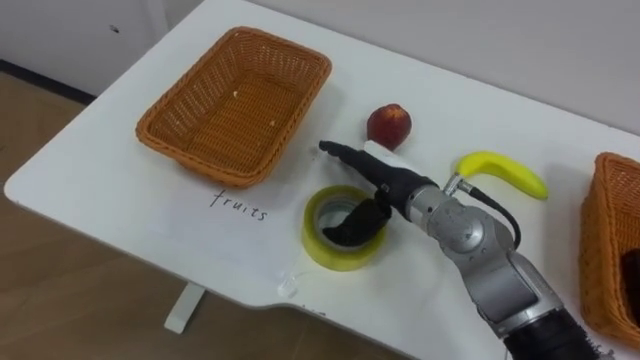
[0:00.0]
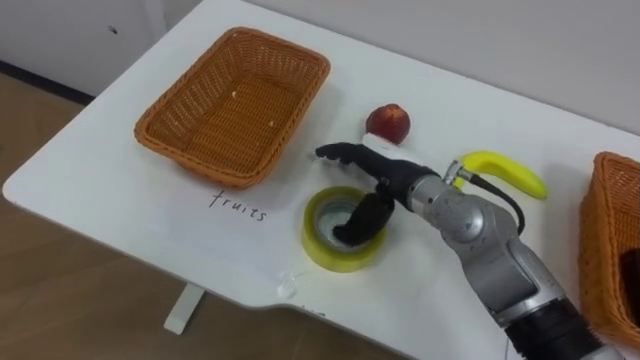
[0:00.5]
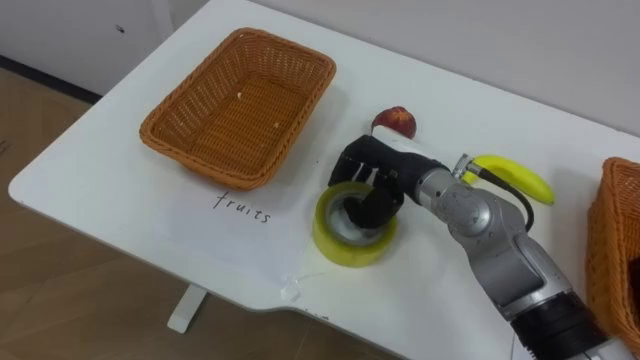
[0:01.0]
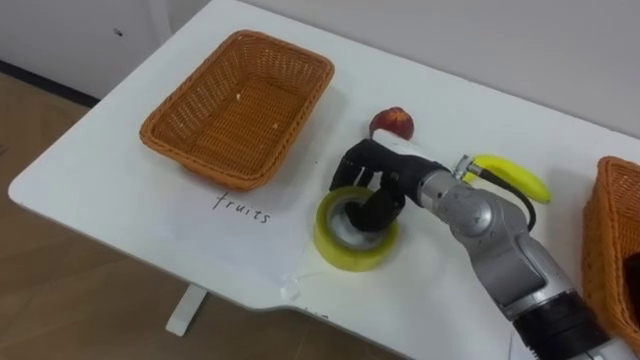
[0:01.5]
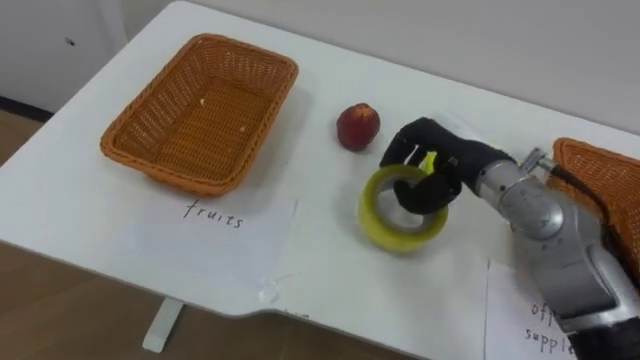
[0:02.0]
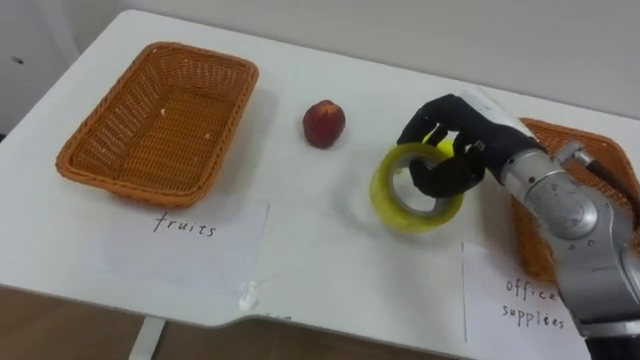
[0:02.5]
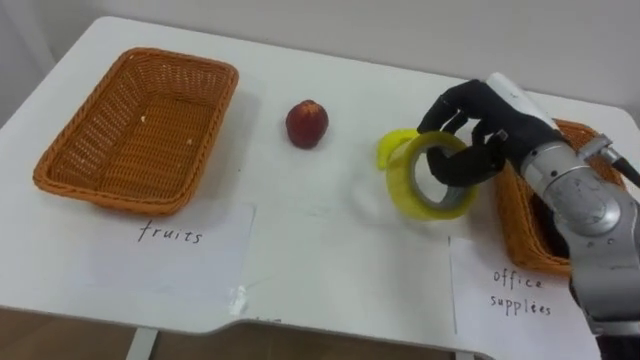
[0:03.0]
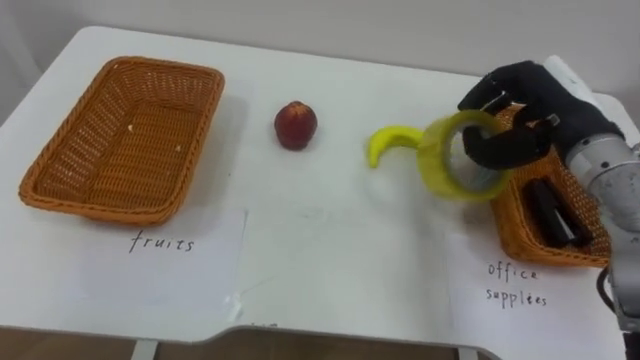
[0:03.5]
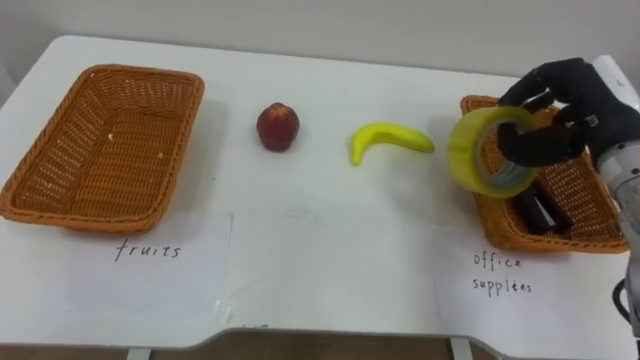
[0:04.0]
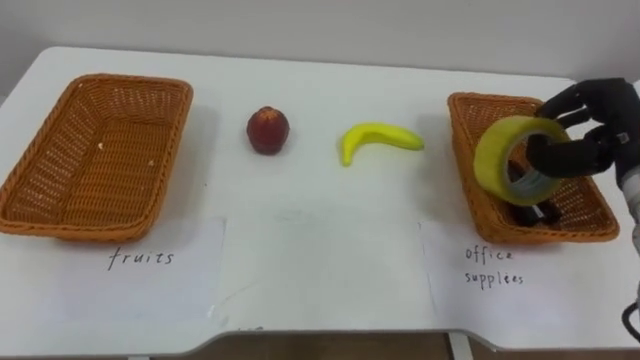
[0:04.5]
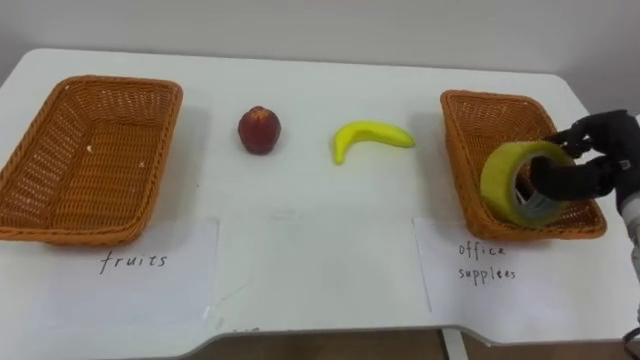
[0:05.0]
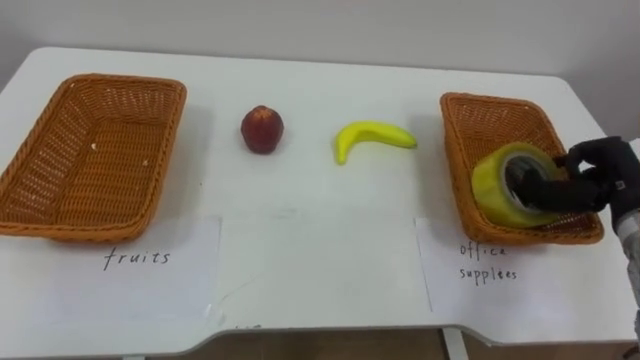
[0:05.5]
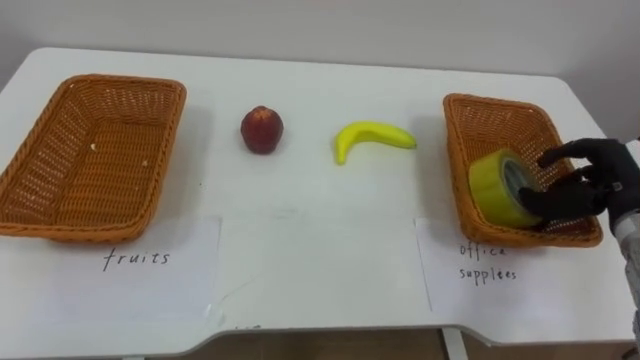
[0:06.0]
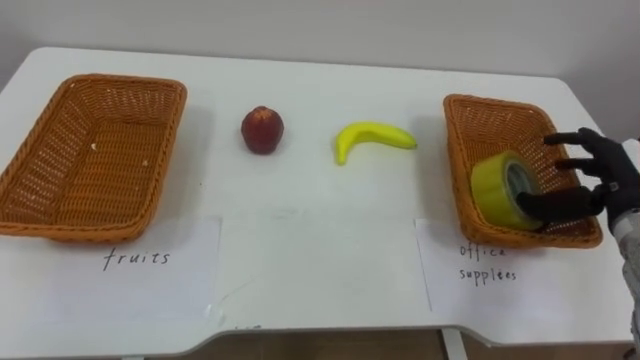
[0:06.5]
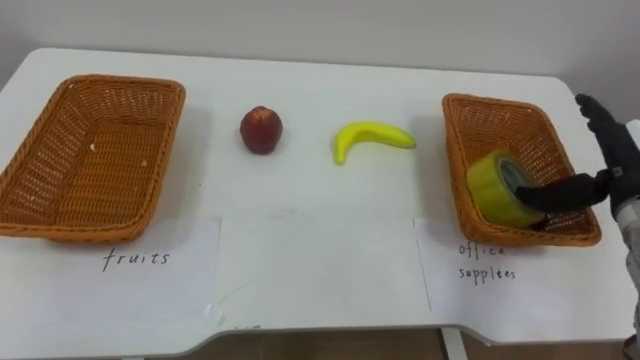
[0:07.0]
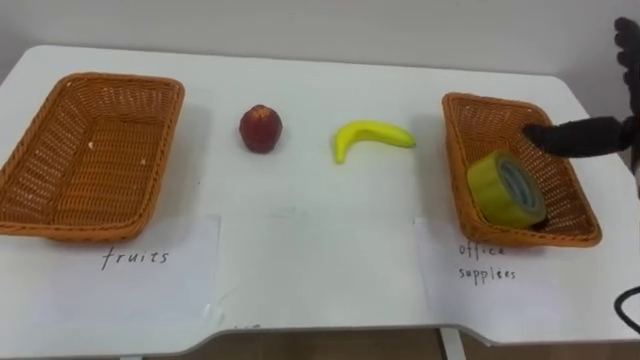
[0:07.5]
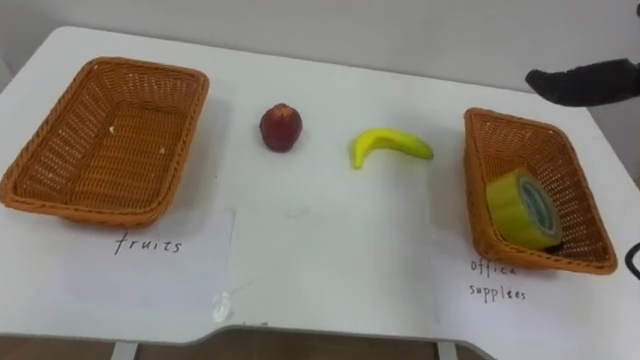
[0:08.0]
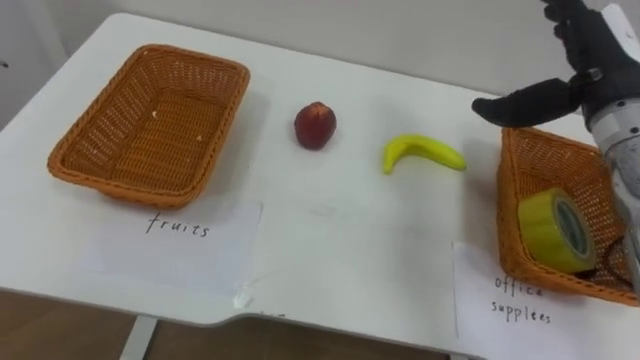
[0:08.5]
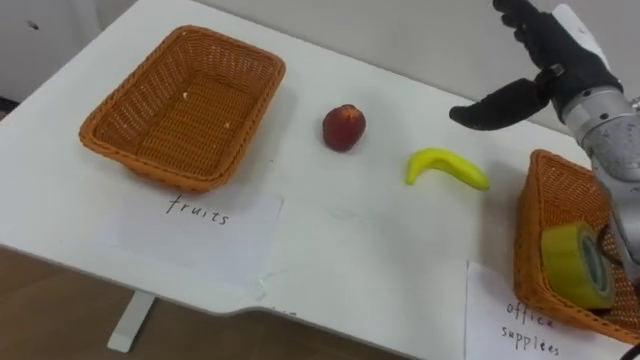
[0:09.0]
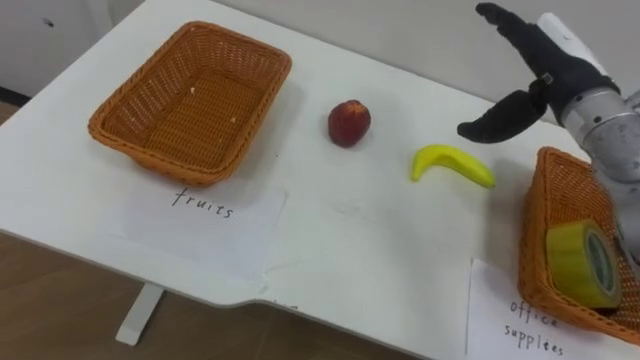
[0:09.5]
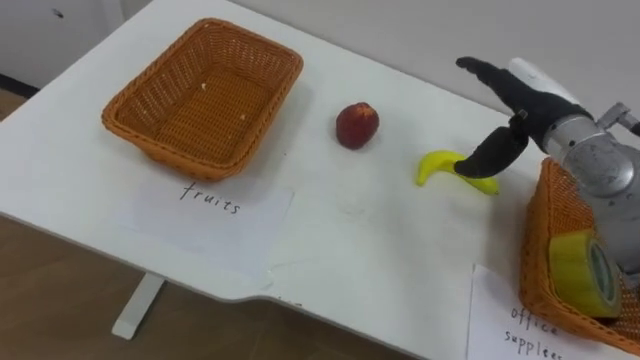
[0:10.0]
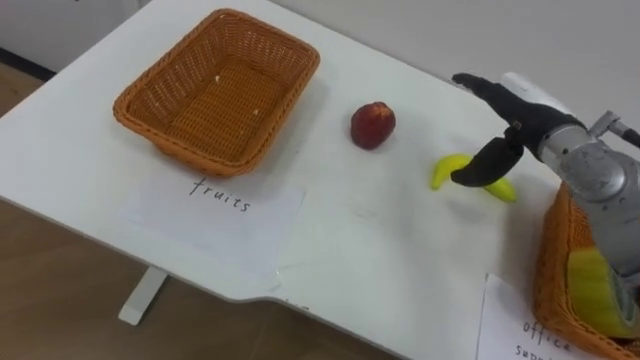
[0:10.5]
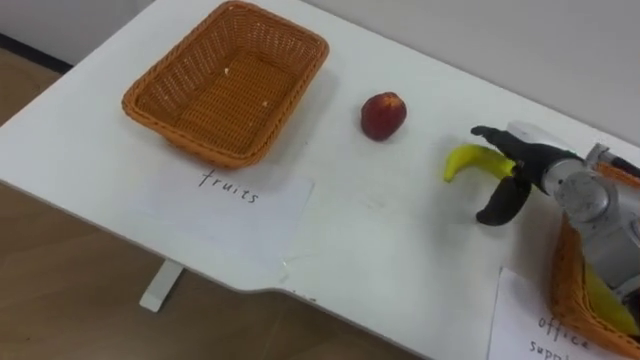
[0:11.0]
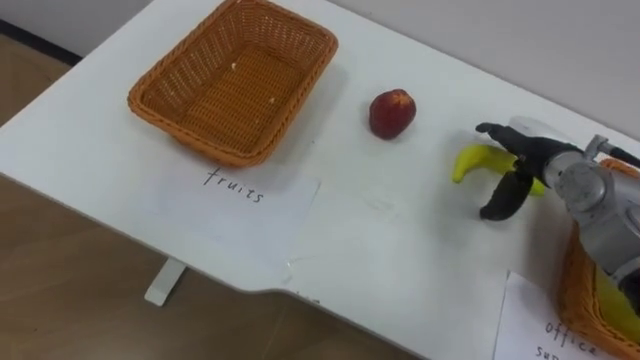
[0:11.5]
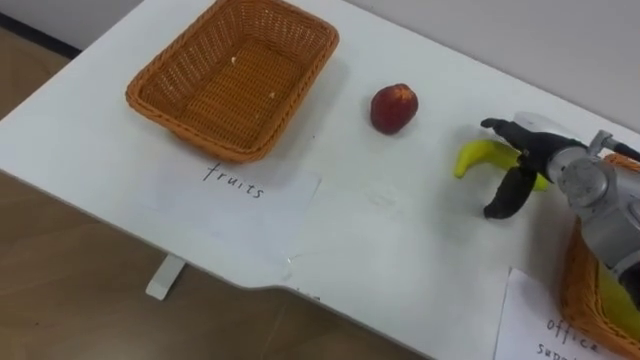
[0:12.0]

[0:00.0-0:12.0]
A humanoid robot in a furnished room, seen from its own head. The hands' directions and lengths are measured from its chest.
Task of the whole recording: Separate the items on the table and place them into the two baskets.
0.0 to 2.0 s: The right hand heads to the right, covering about 10 cm, and closes its fingers.
2.0 to 4.0 s: The right hand shifts roughly 15 cm to the right and upward.
4.0 to 6.0 s: The right hand moves downward and to the right, about 10 cm.
10.0 to 12.0 s: The right hand heads downward, covering some 10 cm.

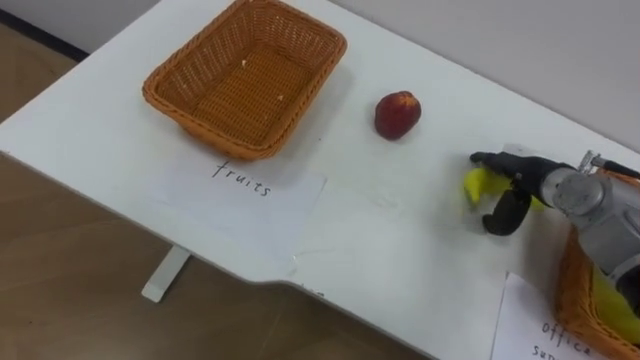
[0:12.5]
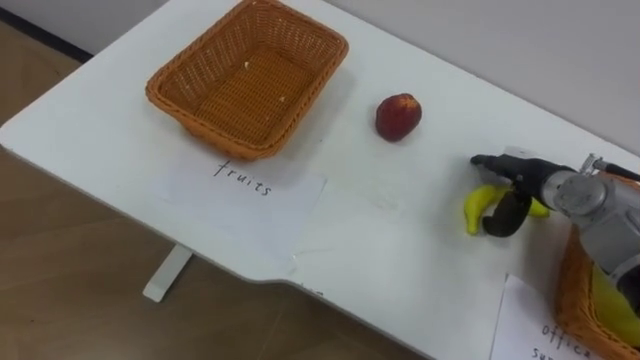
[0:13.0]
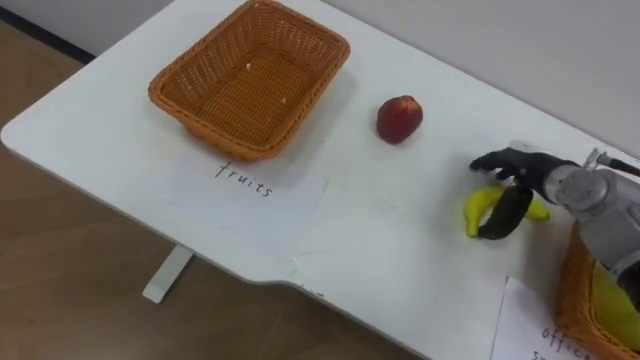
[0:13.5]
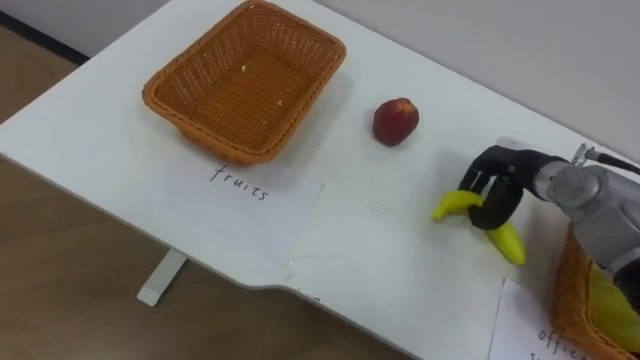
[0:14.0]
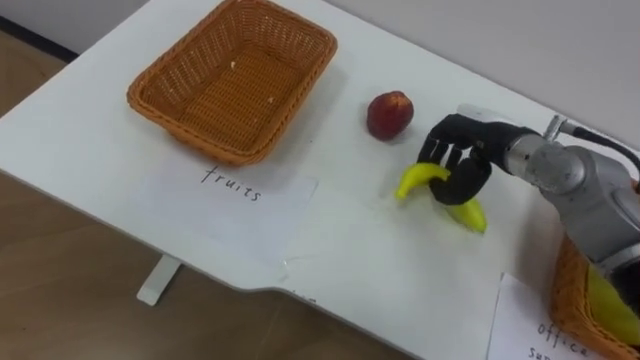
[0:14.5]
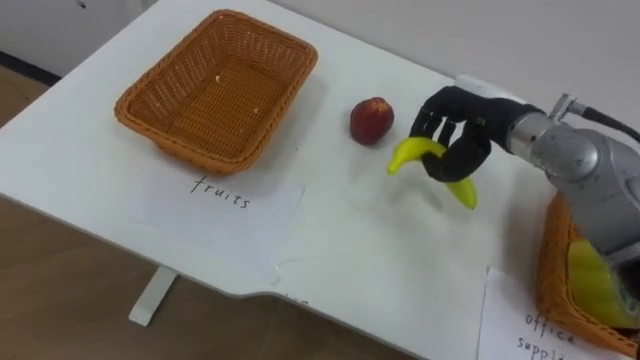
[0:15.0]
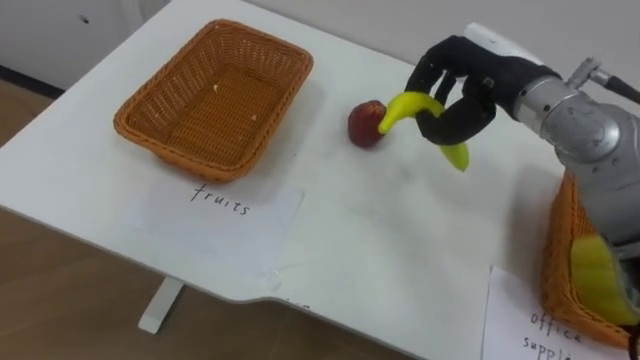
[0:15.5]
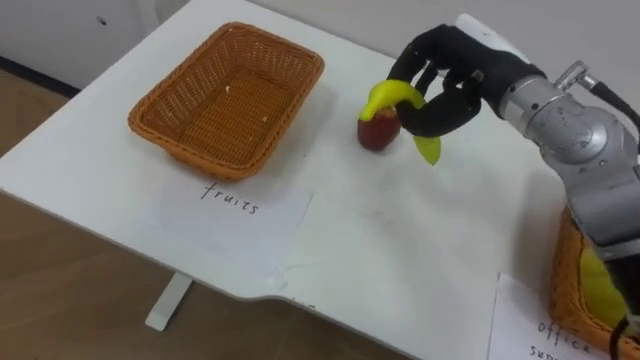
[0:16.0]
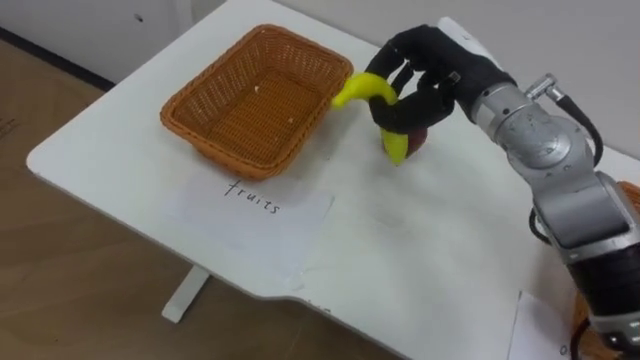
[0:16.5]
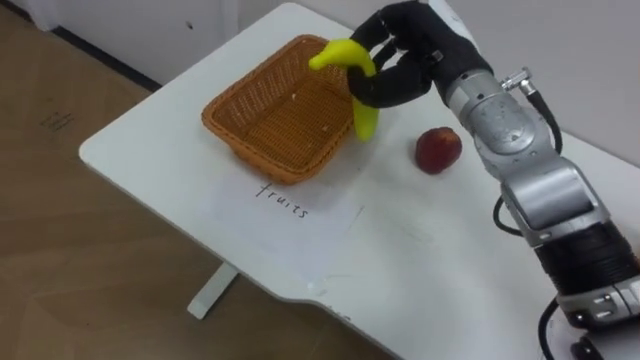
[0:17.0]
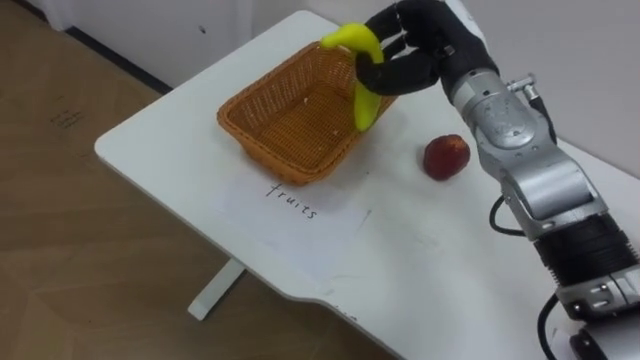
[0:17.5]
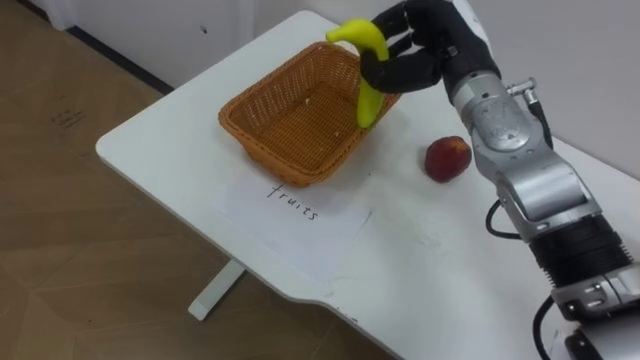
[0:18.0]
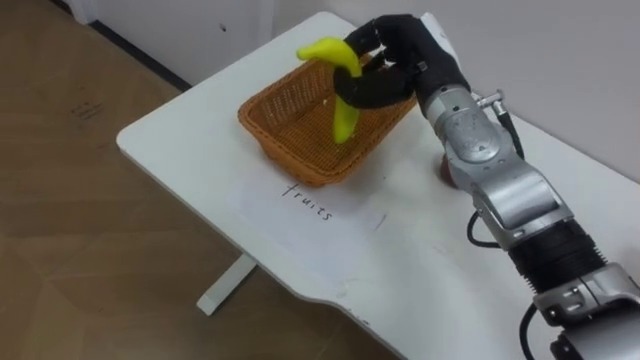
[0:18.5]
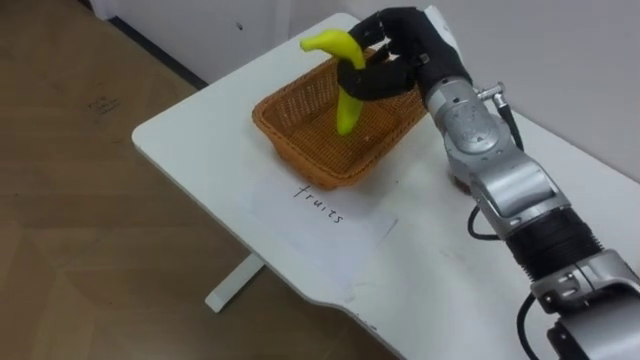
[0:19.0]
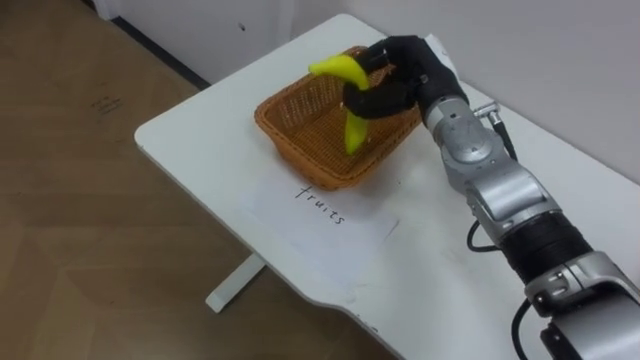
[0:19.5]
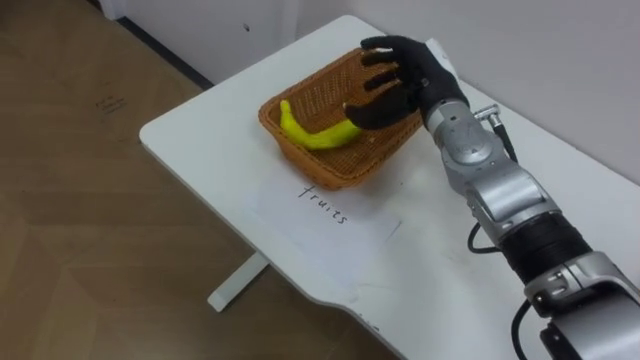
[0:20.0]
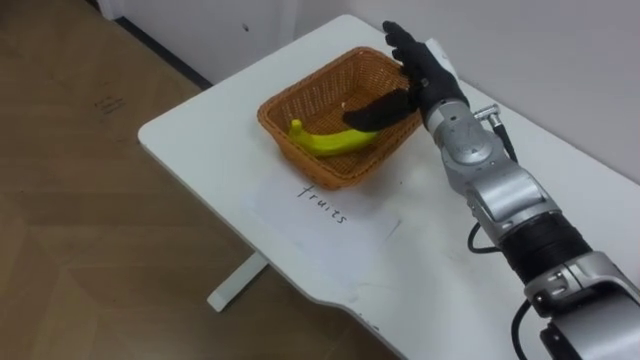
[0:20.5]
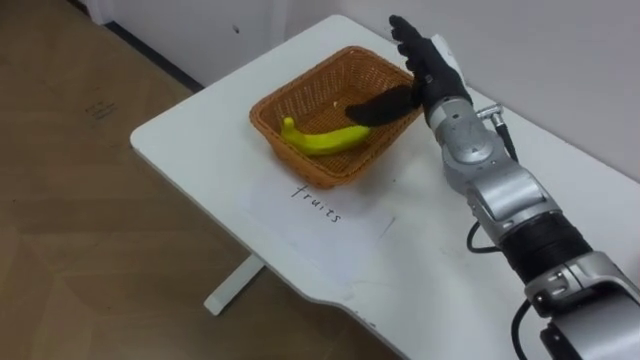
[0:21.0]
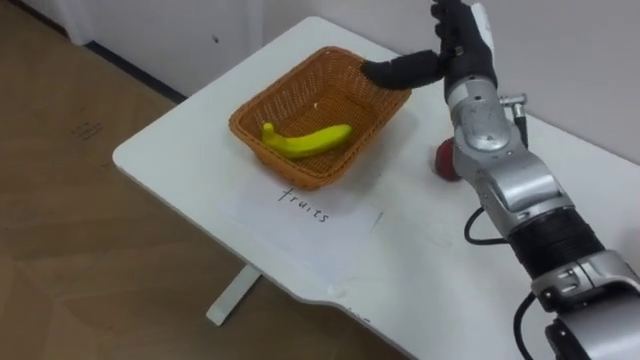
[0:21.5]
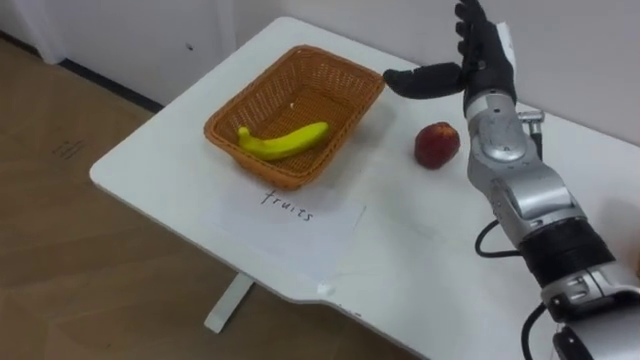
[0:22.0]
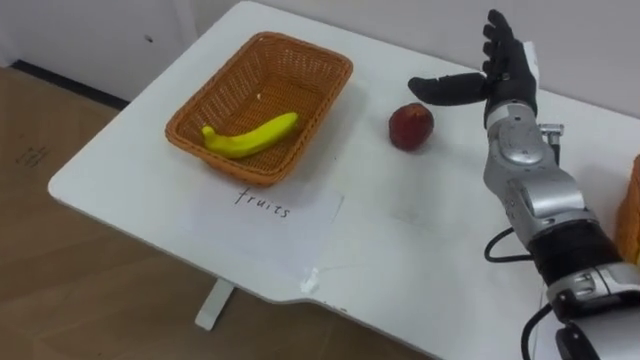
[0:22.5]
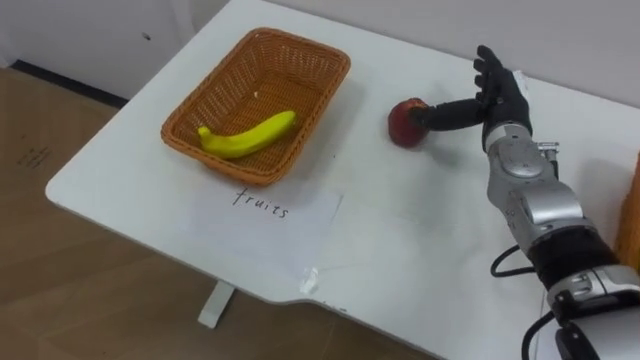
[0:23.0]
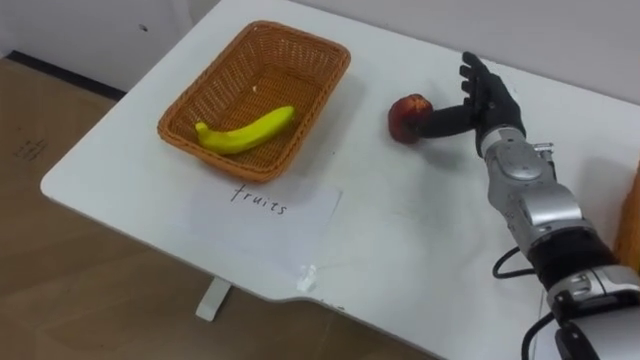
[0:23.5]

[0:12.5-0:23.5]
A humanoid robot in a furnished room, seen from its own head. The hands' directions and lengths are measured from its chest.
Task of the whole recording: Separate the items on the table and place them into the two baskets.
12.5 to 14.5 s: The right hand moves to the left and upward, roughly 10 cm, and closes its fingers.
14.5 to 16.0 s: The right hand shifts approximately 10 cm upward.
18.0 to 20.0 s: The right hand moves downward, approximately 5 cm.
20.0 to 21.5 s: The right hand opens up.
21.5 to 23.5 s: The right hand moves downward and to the right, some 10 cm.
